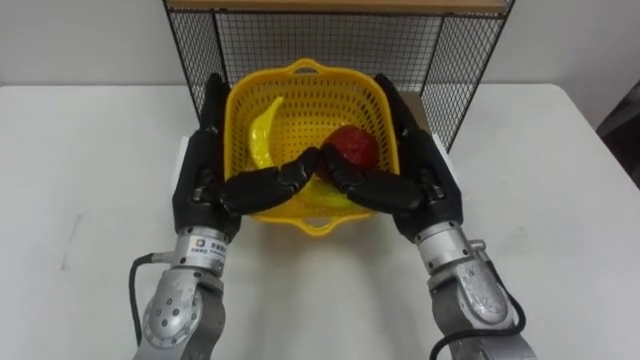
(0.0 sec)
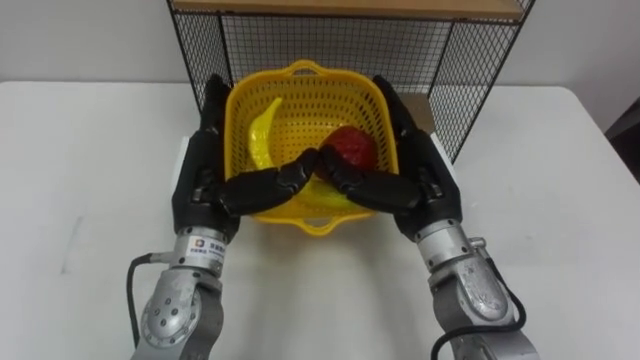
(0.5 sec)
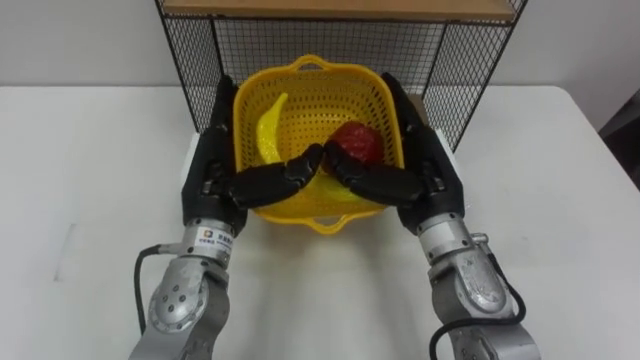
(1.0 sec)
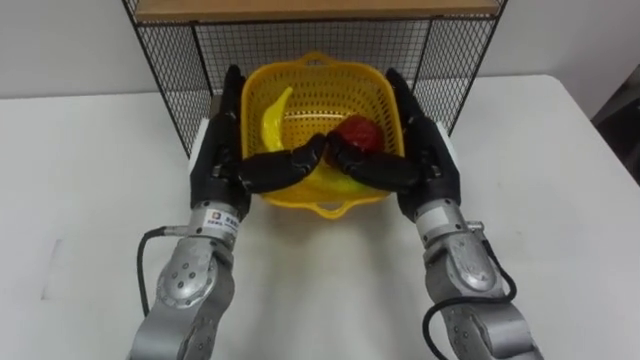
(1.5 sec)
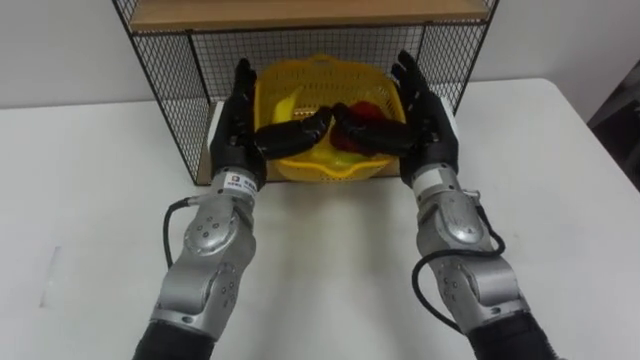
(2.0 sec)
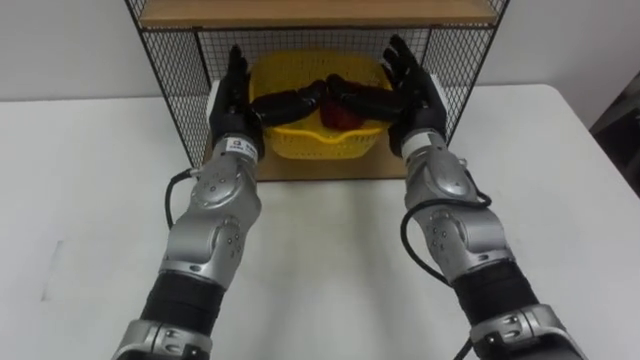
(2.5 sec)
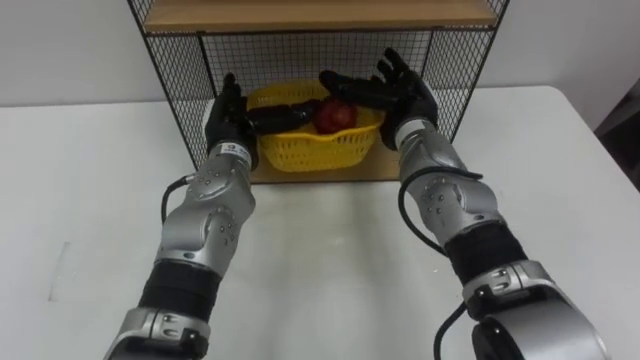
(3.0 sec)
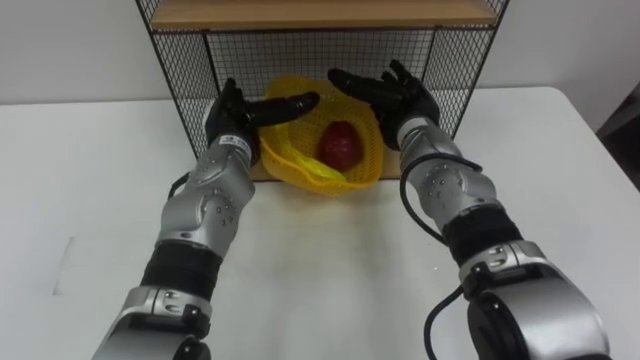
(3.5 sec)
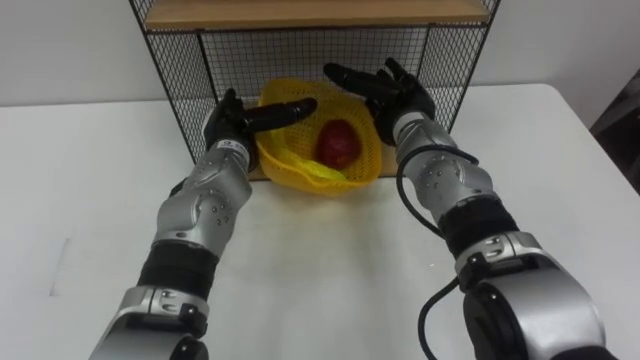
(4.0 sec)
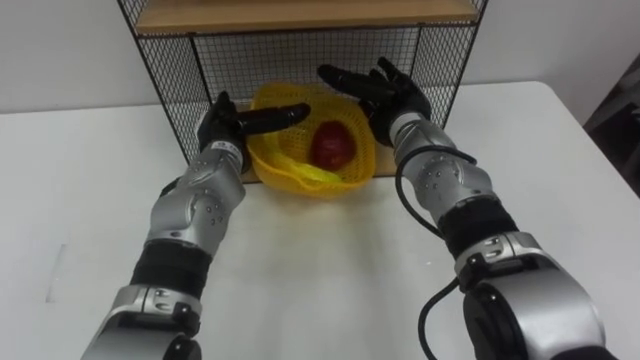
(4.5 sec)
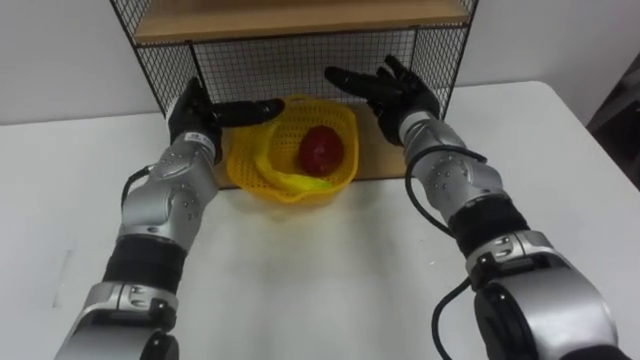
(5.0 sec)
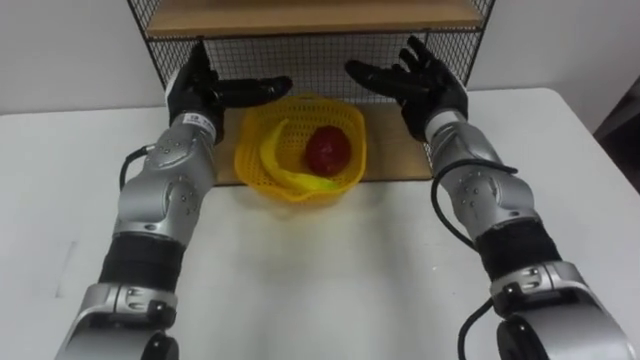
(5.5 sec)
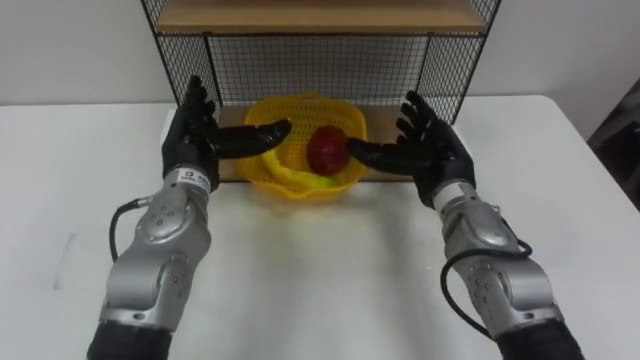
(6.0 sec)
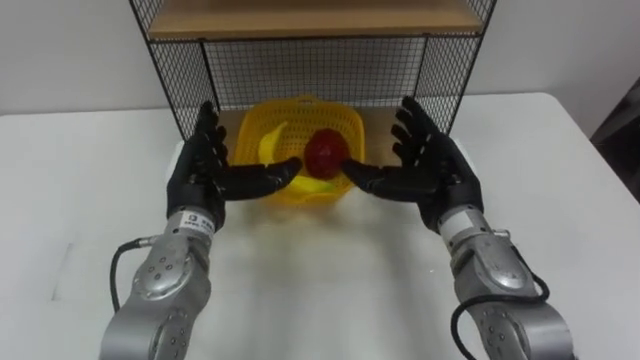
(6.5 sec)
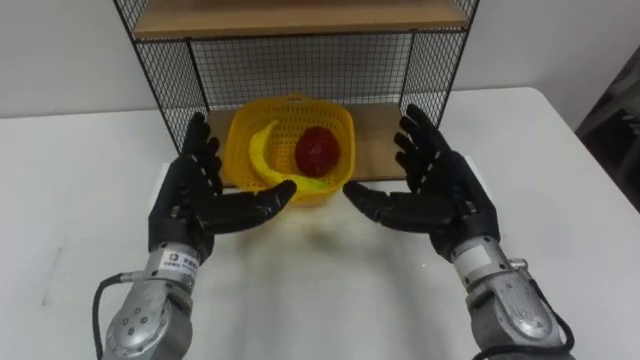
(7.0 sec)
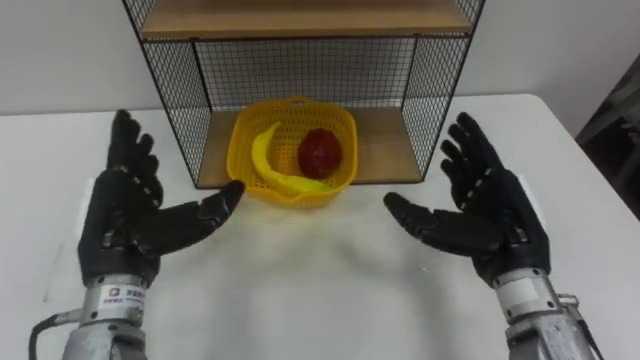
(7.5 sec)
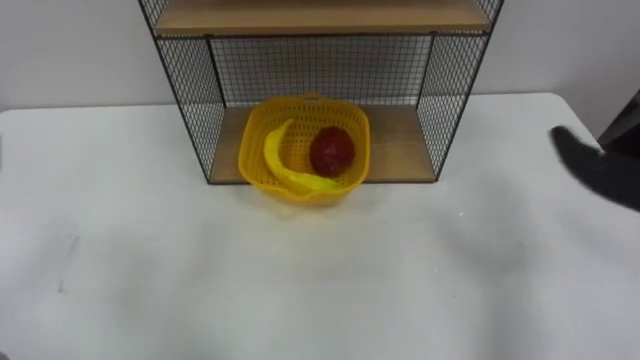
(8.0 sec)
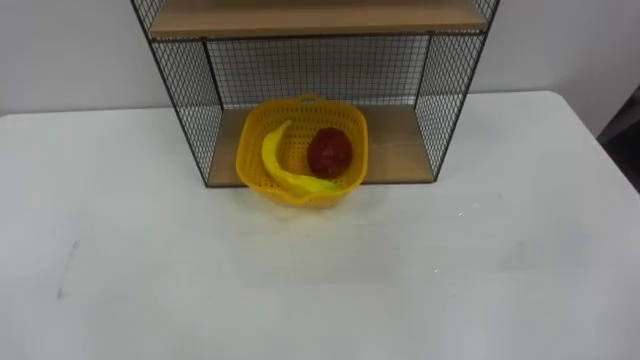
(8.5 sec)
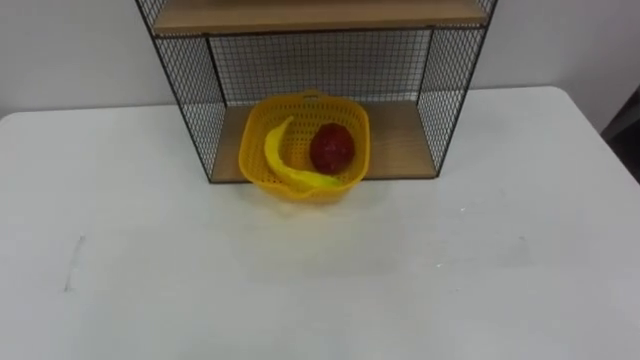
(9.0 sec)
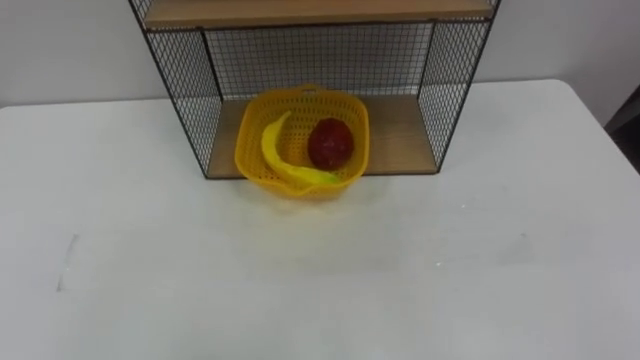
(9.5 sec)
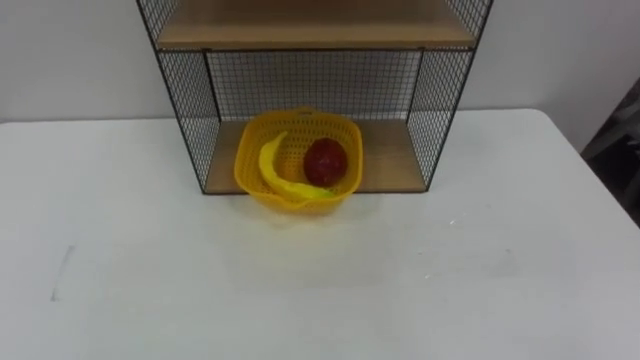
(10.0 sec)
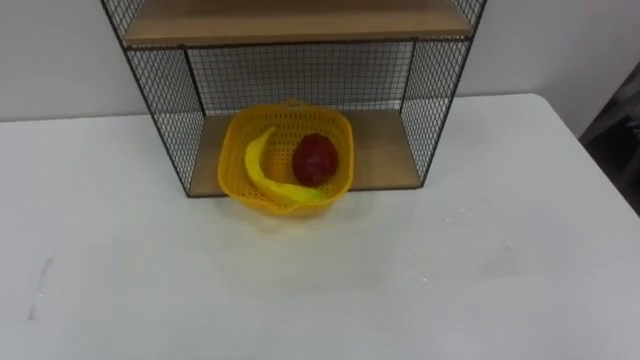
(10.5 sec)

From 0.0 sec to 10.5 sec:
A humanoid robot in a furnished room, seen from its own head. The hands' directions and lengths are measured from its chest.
Task of the whole recording: Put the fruit on the table into the basket, then place the basket on the shelf.
From 0.0 sec to 2.0 sec: The hands both shift forward by approximately 5 cm.
From 2.0 sec to 4.0 sec: The left hand ends up approximately 5 cm from where it was. Meanwhile the right hand shifts about 5 cm forward.
From 4.0 sec to 6.5 sec: Both hands move backward, roughly 10 cm.

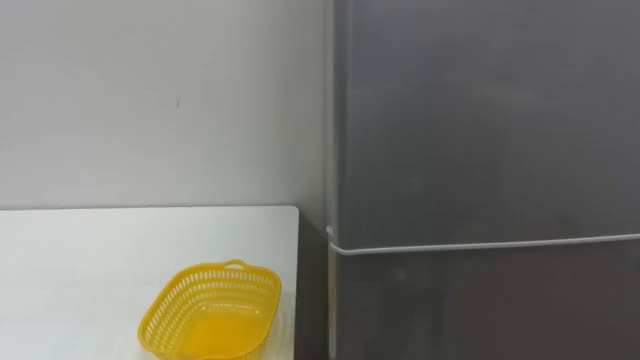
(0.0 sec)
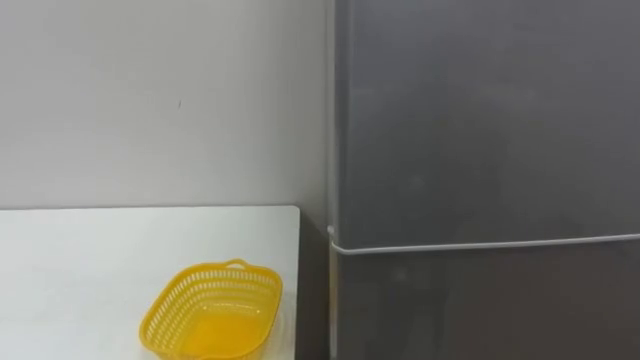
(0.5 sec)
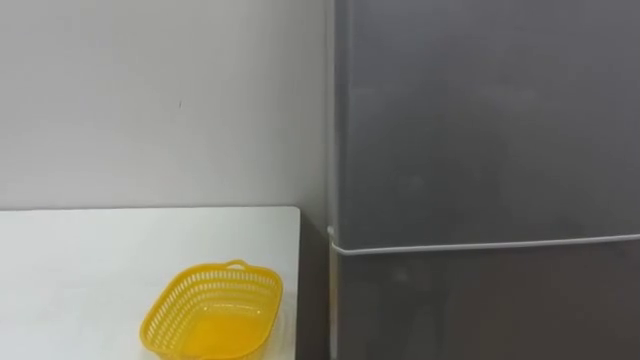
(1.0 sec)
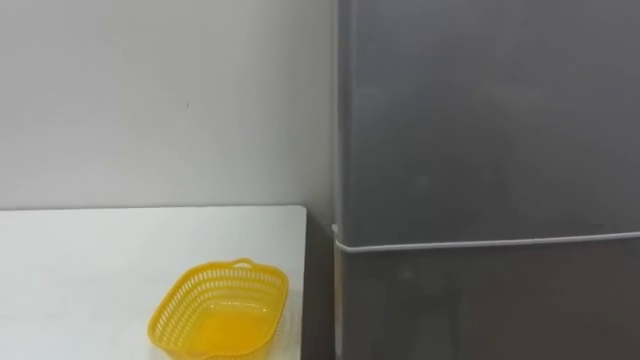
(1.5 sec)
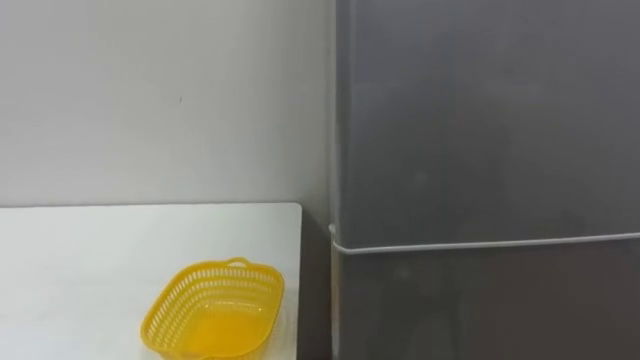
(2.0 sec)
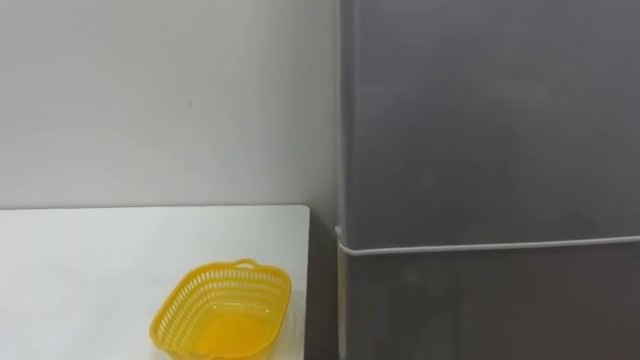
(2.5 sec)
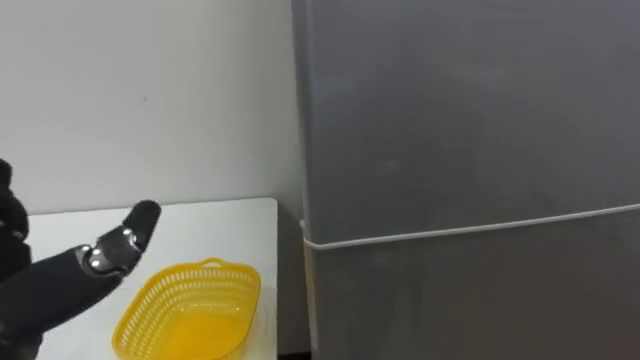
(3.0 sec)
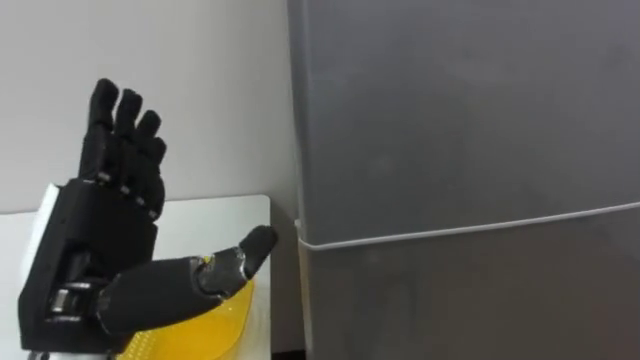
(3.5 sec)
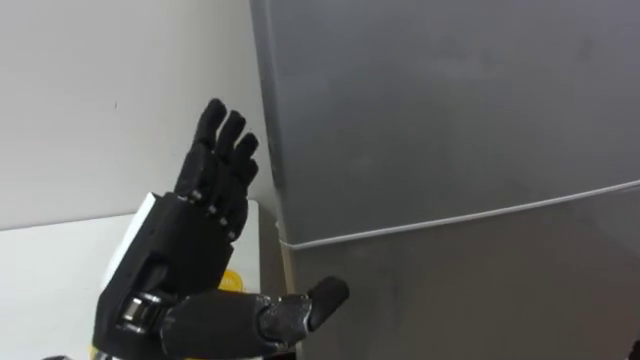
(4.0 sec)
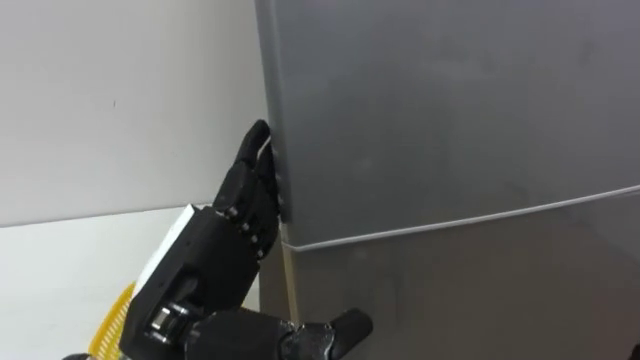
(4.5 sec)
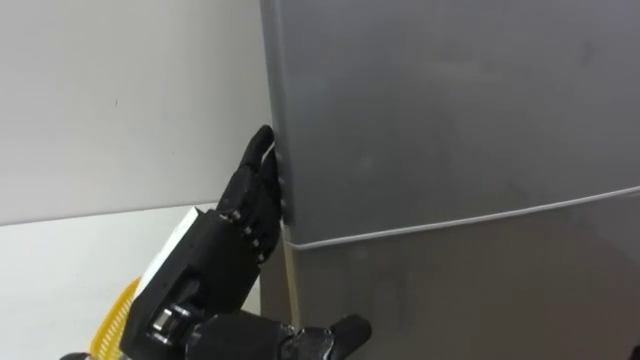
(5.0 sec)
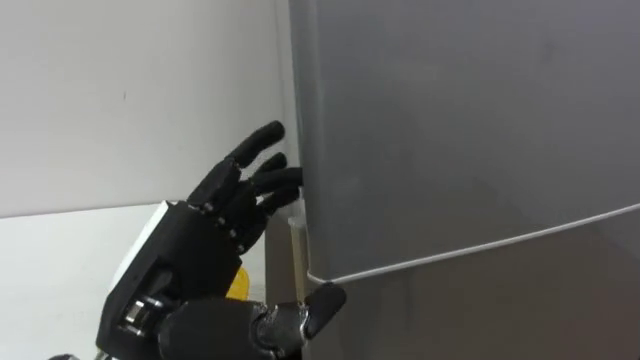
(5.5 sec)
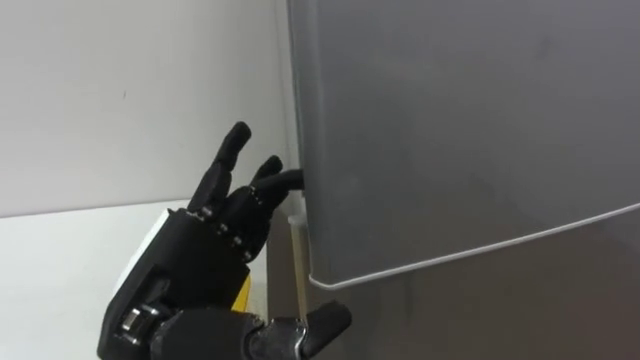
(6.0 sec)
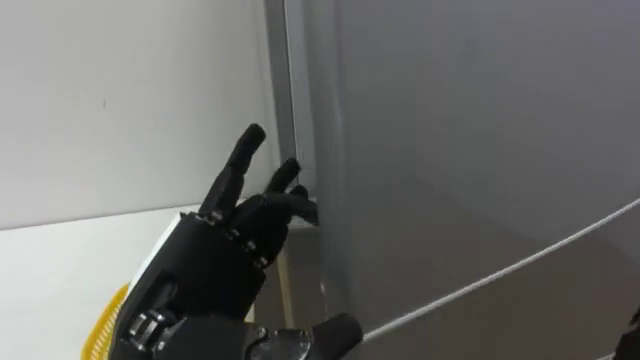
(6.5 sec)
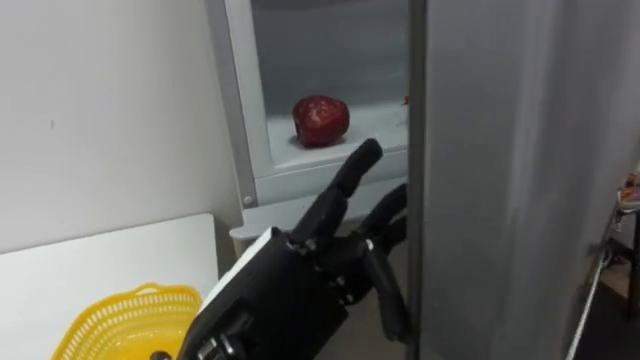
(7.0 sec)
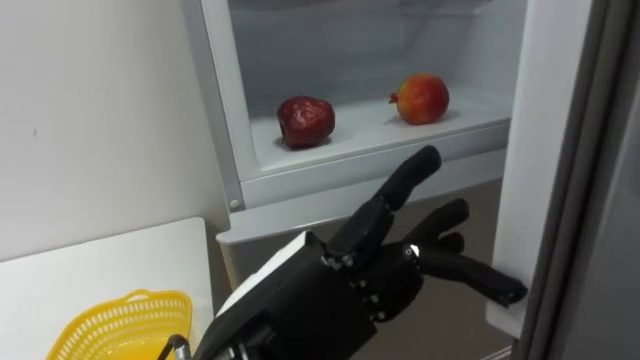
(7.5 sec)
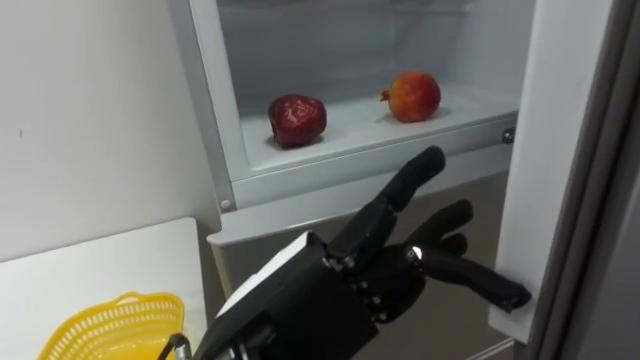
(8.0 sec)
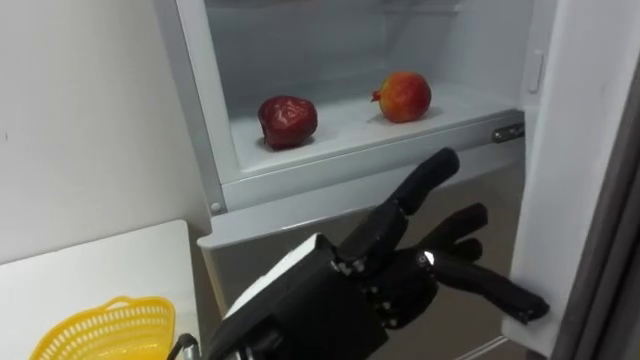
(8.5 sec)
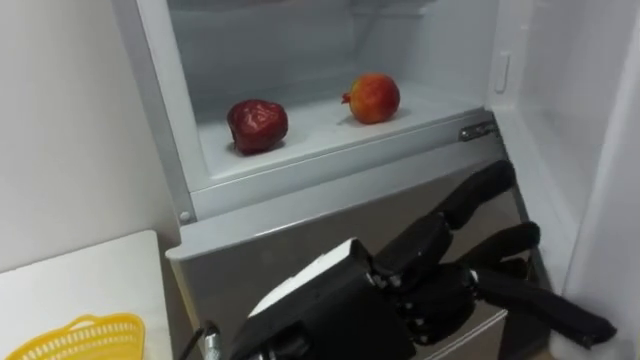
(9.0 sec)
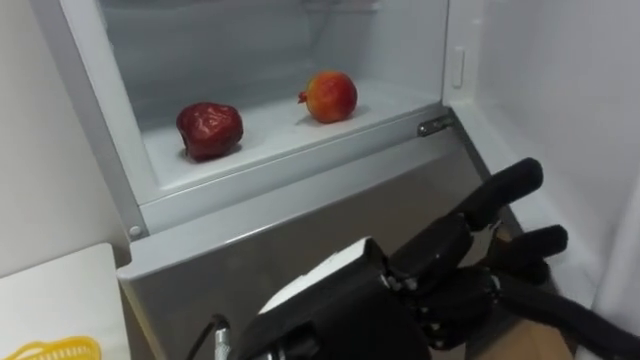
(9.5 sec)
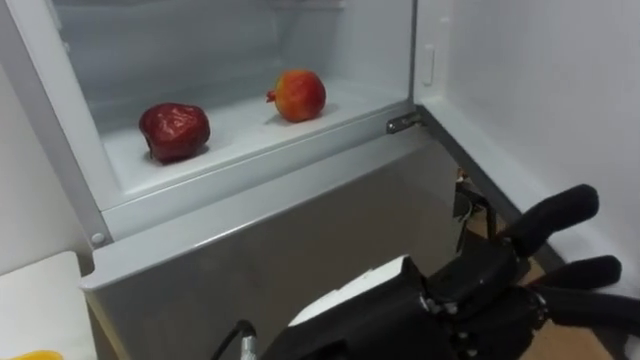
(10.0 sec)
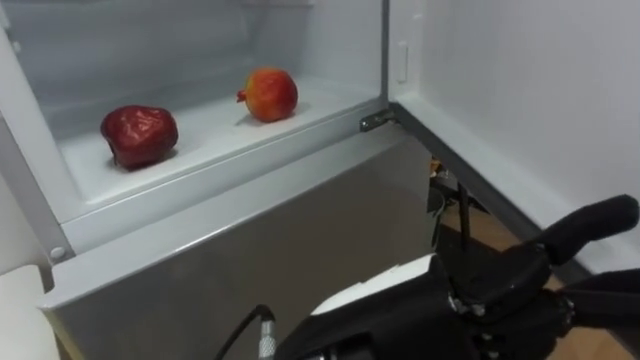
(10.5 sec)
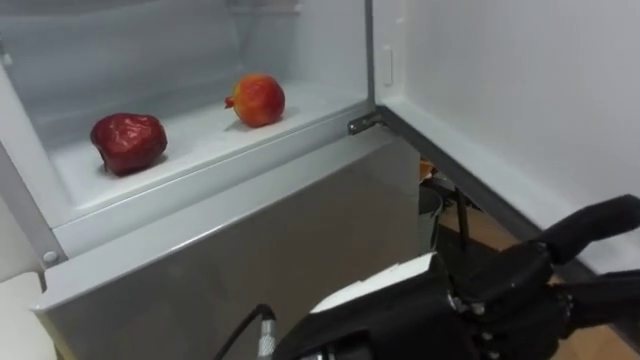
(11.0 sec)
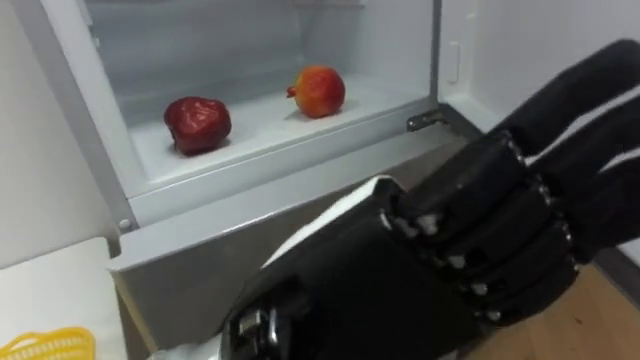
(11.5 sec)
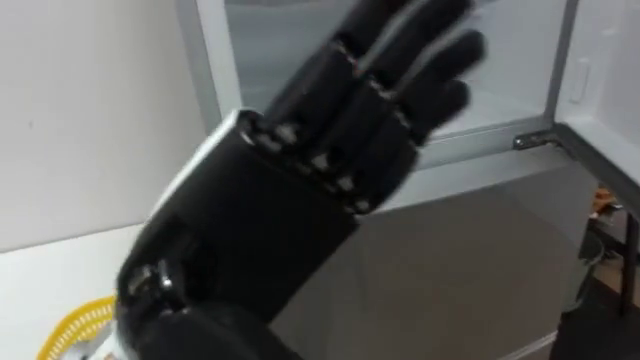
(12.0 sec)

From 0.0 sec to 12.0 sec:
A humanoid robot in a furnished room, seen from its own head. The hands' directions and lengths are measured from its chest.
Task of the whole recording: Open the refrigerator door, take out the apple and the pomegranate, place them in the fruit basket on the left, and close the refrigerator door.
From 6.0 sec to 8.0 sec: The left hand goes some 10 cm to the right.
From 10.0 sec to 12.0 sec: The left hand heads upward and to the left, covering roughly 10 cm.
